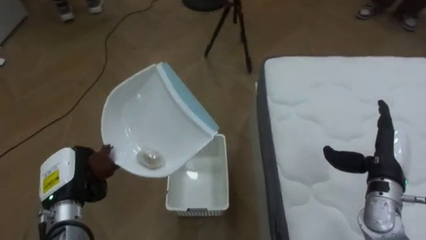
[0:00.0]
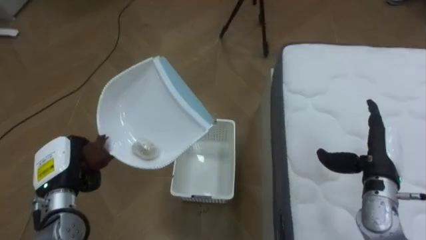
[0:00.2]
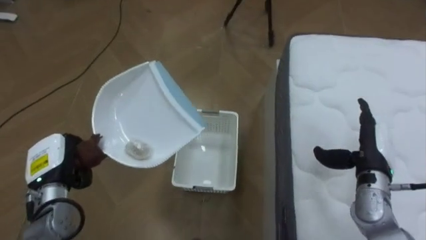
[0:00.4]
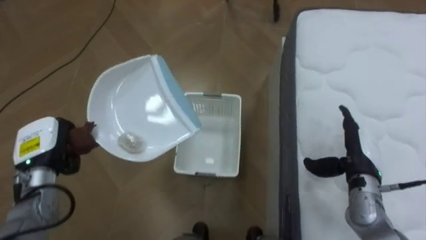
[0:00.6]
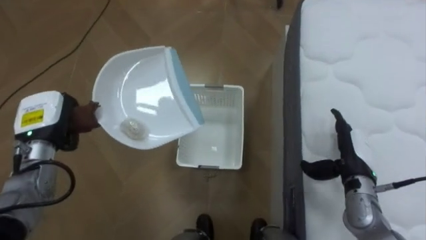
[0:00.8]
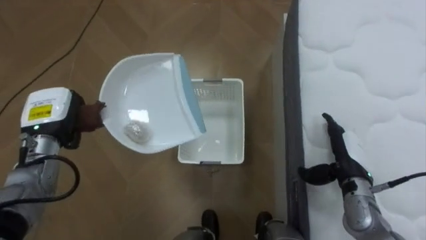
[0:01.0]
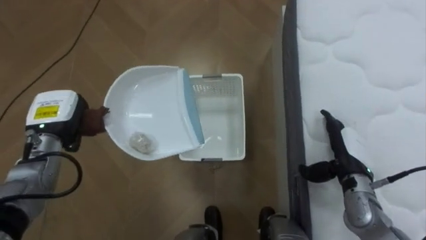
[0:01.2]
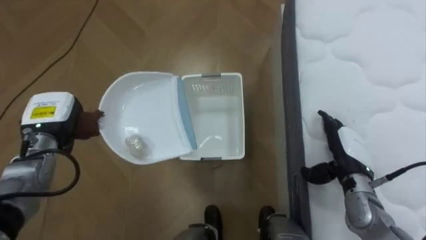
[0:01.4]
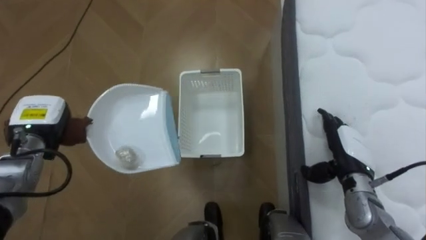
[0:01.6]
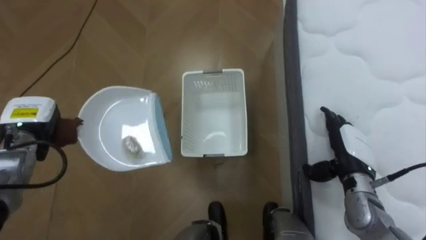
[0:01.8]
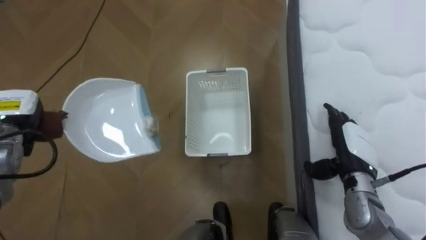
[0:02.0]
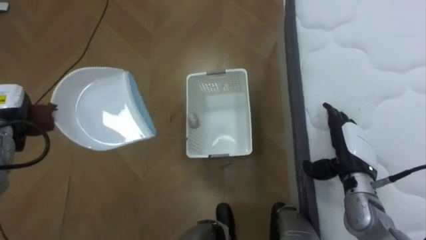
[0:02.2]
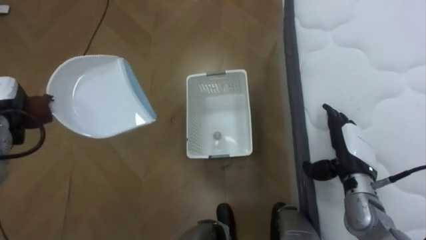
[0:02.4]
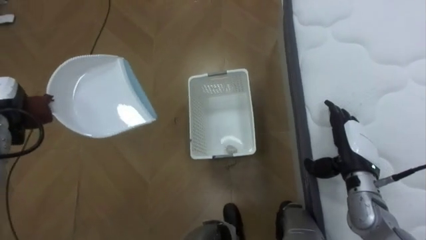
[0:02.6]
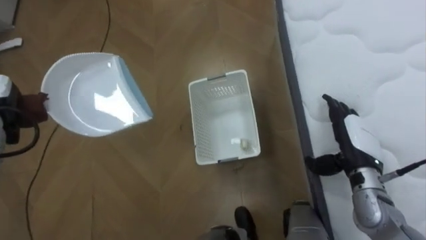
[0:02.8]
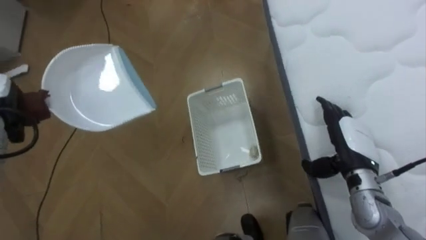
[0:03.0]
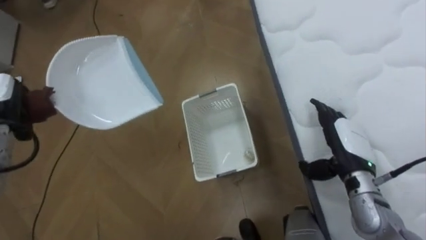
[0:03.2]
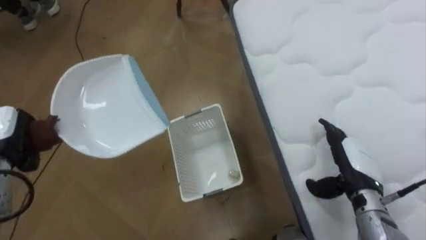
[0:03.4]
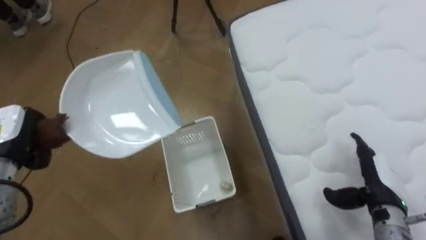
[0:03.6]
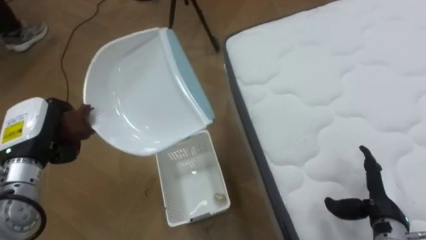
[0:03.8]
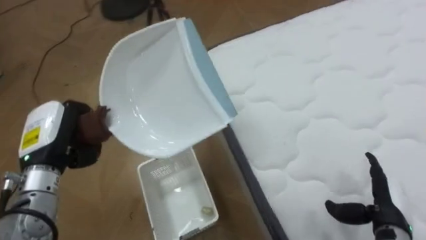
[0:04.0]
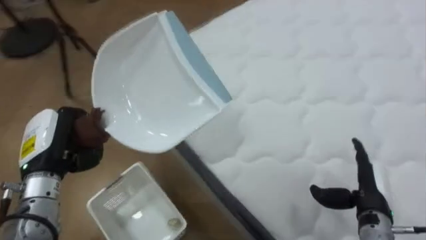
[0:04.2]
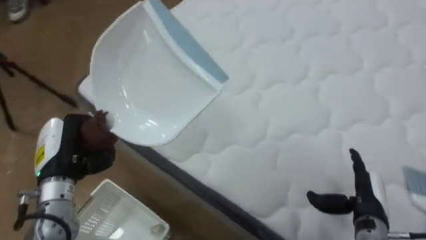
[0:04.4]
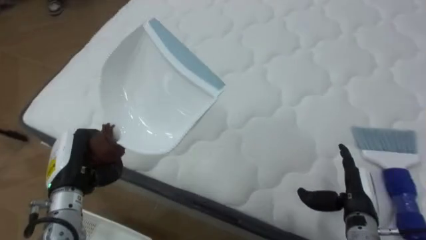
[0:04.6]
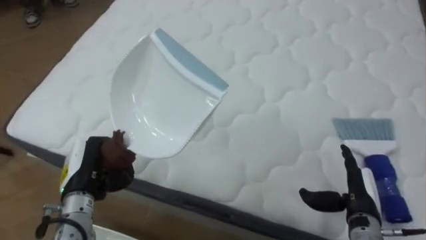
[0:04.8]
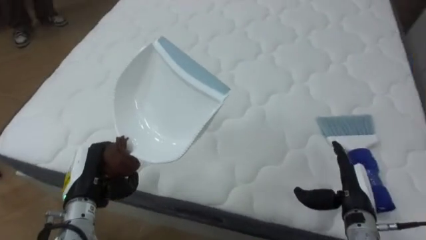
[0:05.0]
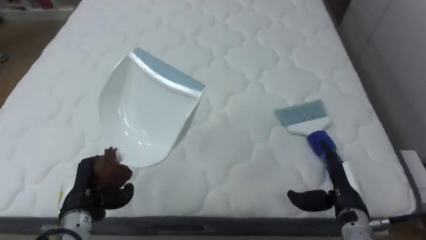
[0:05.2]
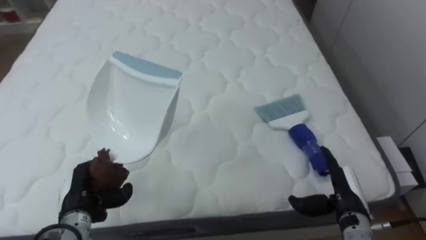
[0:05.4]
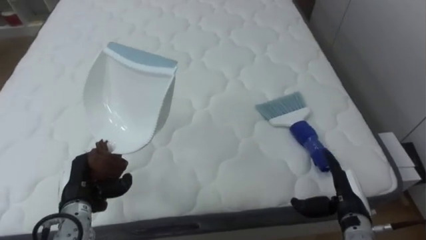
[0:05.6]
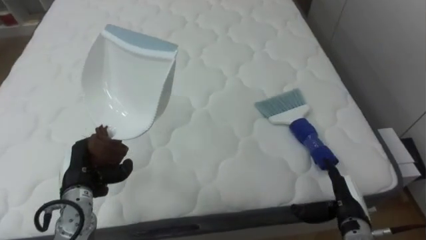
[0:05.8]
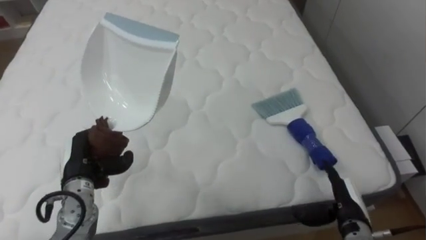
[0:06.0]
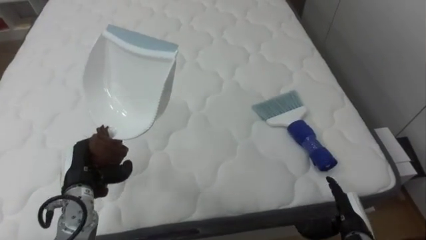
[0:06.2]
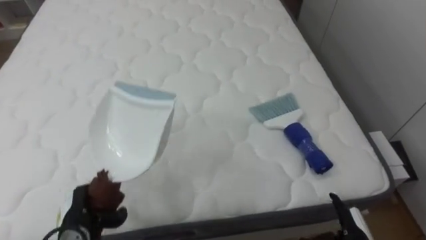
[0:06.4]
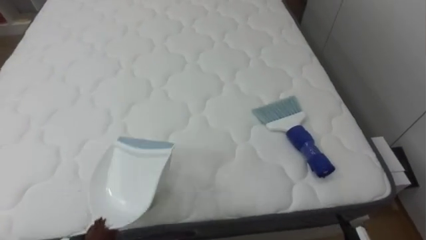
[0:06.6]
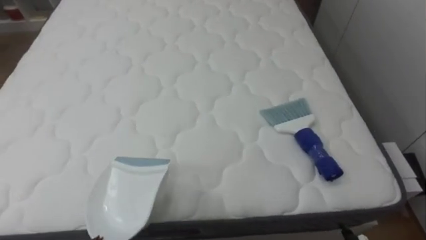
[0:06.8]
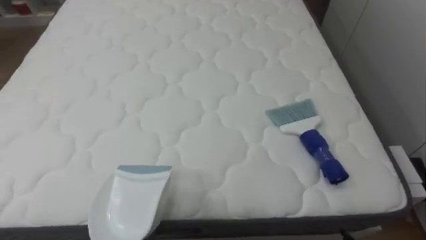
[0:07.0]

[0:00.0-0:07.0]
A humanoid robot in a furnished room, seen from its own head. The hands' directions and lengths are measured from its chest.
Task of the whole recording: Pick up the brush on your right and the dustpan on your left. Use the brush to sweep the crumpled paper on the bed into the dustpan, then turn left and empty it into the basket.
0:00.0 to 0:01.4: The right hand moves to the left, about 5 cm. Meanwhile the left hand travels forward and upward by some 10 cm.
0:02.8 to 0:04.2: The robot faces about 45 degrees further to its right. The right hand moves backward, approximately 5 cm.
0:04.2 to 0:05.6: The robot turns to its right by about 55 degrees. The left hand is displaced downward by some 10 cm.

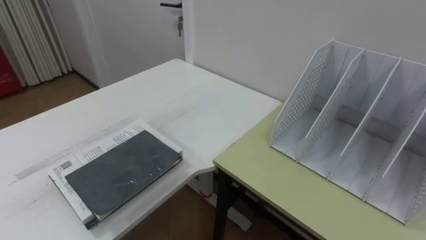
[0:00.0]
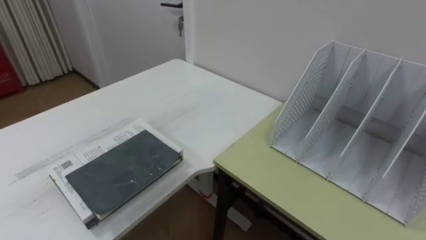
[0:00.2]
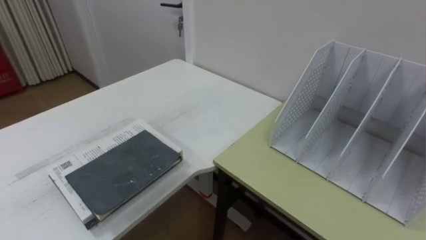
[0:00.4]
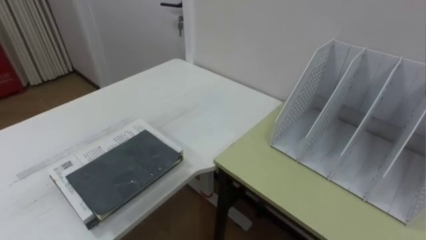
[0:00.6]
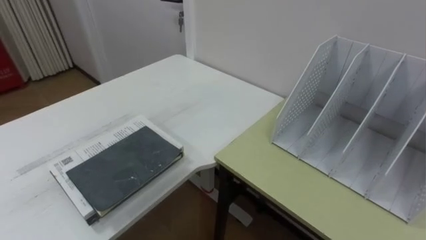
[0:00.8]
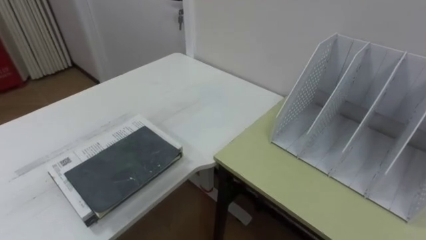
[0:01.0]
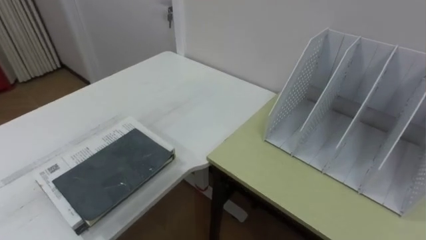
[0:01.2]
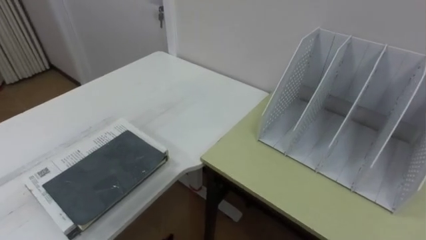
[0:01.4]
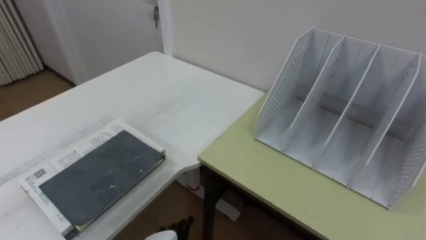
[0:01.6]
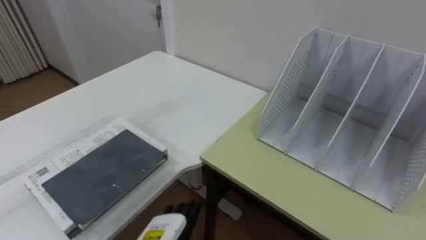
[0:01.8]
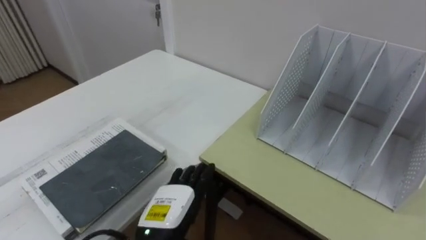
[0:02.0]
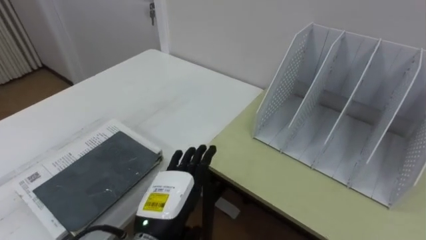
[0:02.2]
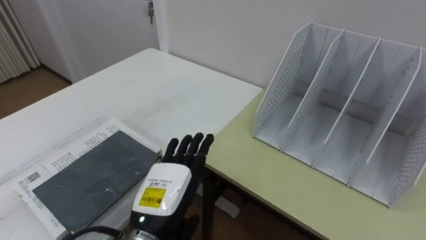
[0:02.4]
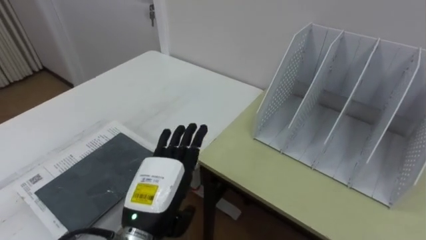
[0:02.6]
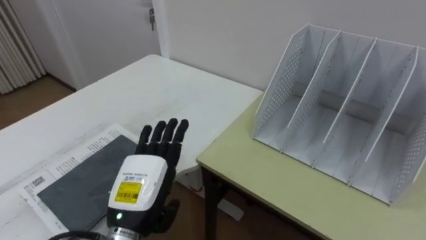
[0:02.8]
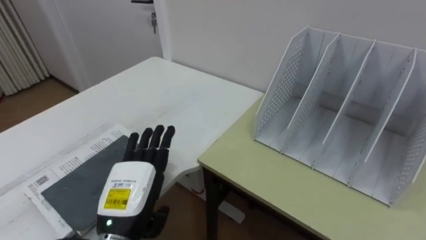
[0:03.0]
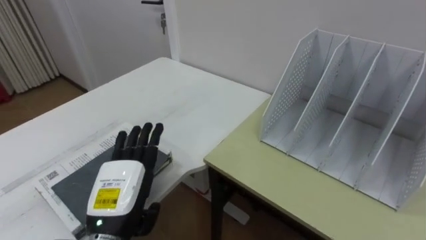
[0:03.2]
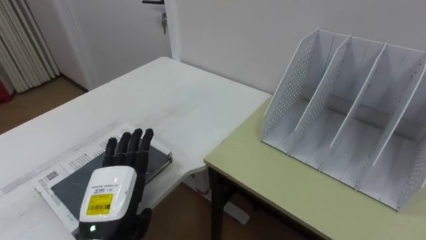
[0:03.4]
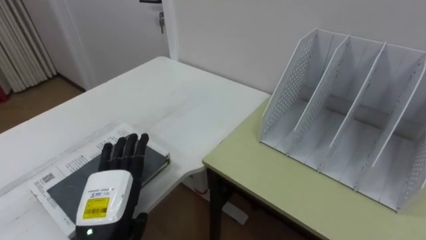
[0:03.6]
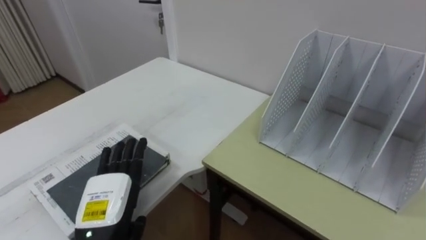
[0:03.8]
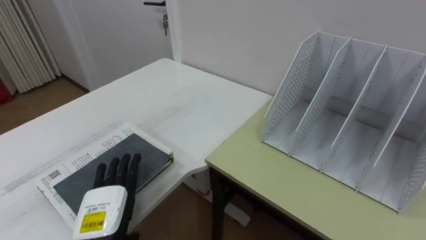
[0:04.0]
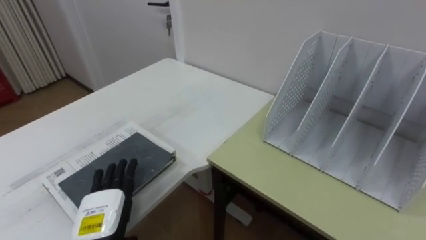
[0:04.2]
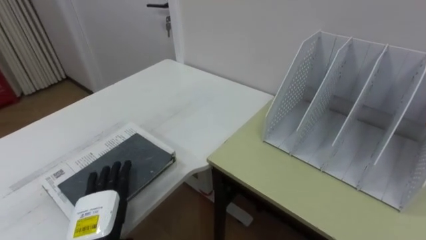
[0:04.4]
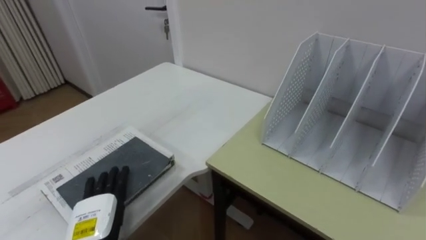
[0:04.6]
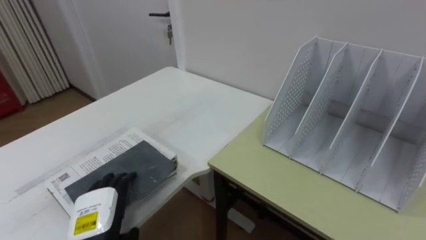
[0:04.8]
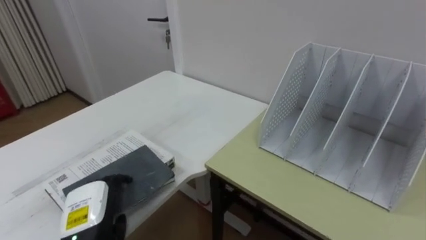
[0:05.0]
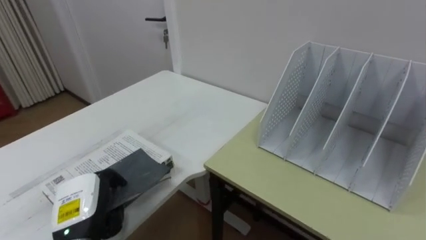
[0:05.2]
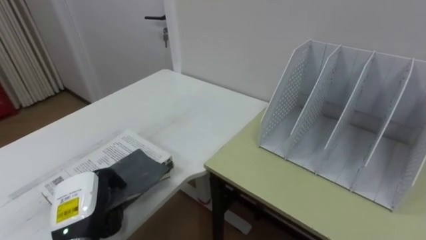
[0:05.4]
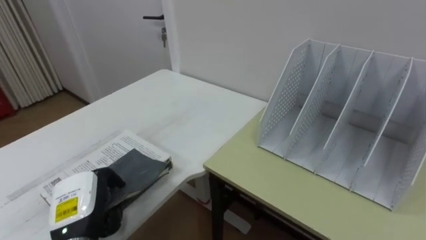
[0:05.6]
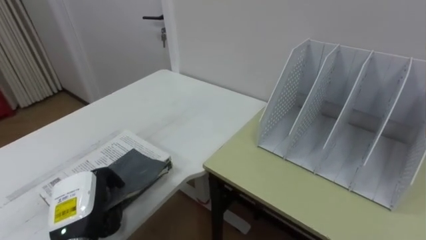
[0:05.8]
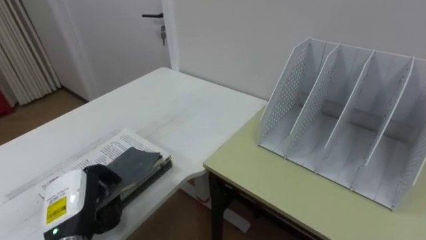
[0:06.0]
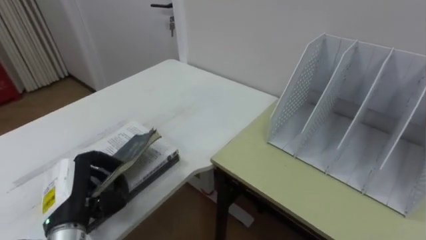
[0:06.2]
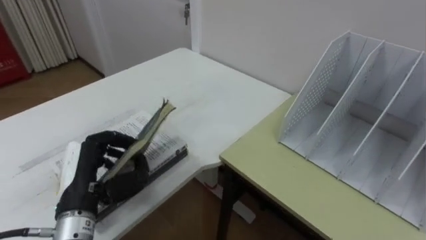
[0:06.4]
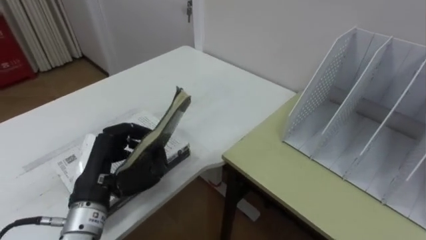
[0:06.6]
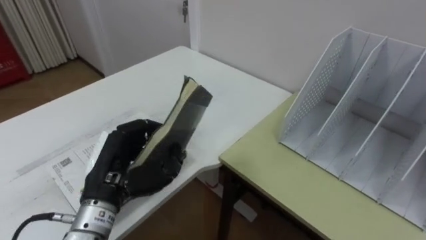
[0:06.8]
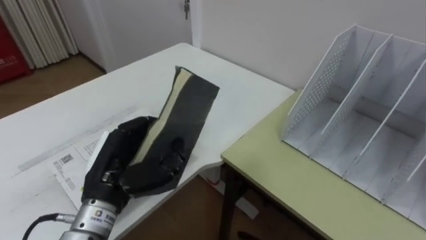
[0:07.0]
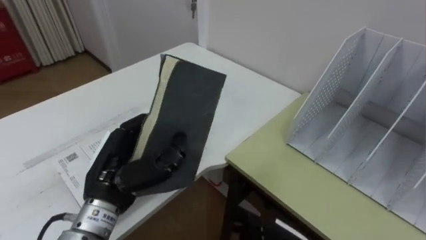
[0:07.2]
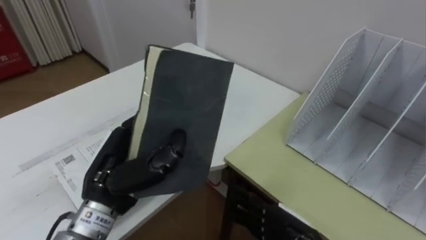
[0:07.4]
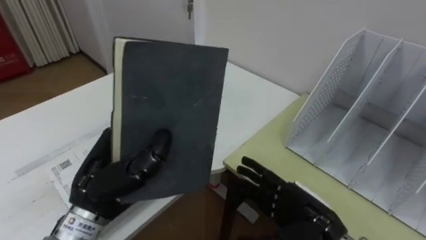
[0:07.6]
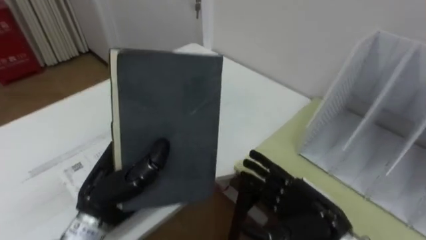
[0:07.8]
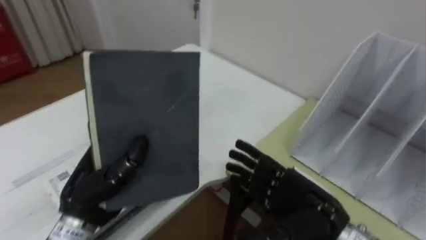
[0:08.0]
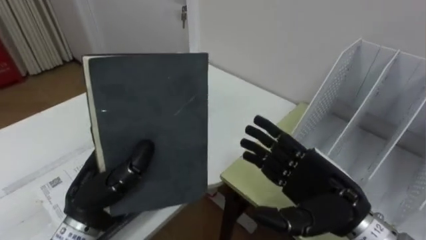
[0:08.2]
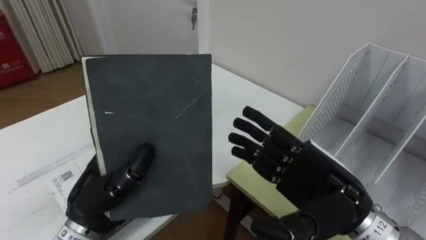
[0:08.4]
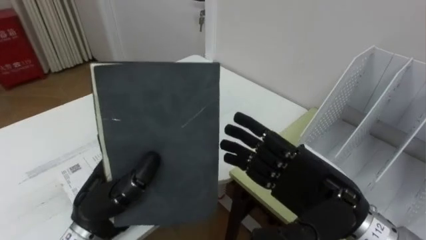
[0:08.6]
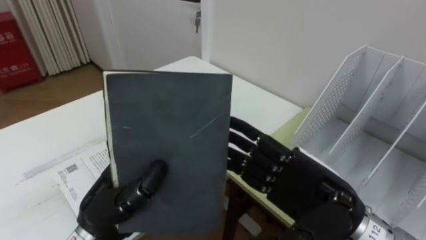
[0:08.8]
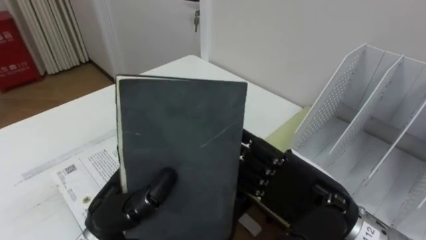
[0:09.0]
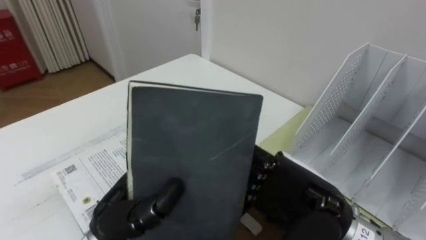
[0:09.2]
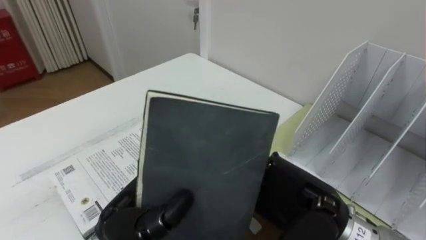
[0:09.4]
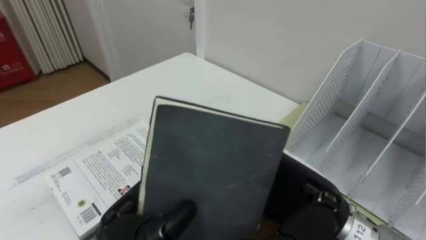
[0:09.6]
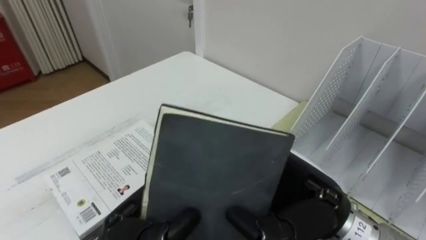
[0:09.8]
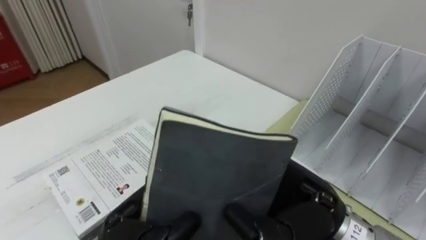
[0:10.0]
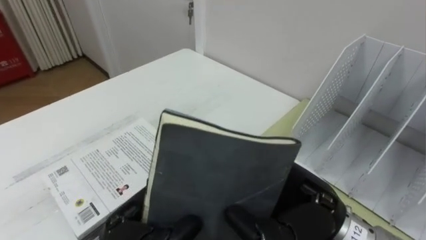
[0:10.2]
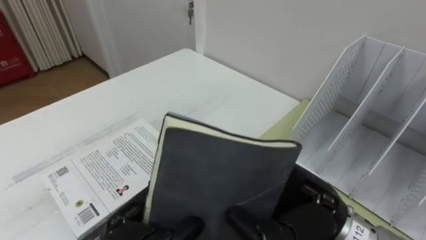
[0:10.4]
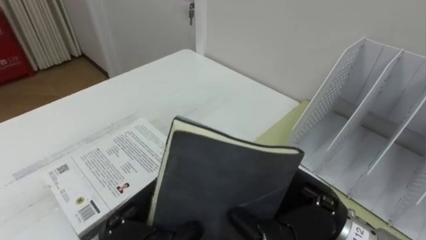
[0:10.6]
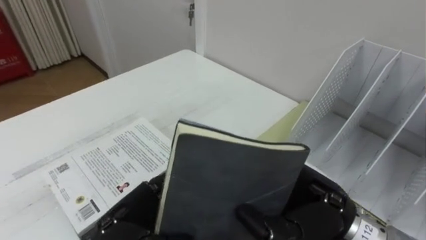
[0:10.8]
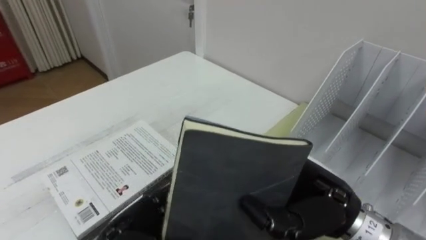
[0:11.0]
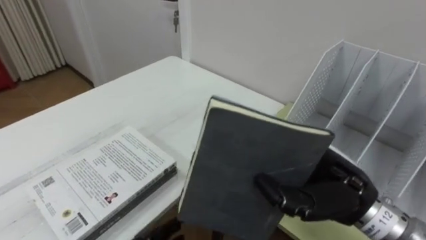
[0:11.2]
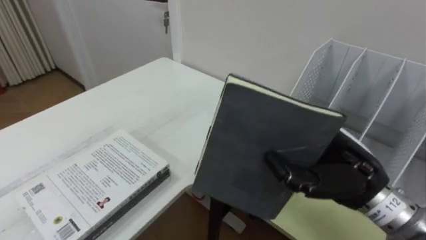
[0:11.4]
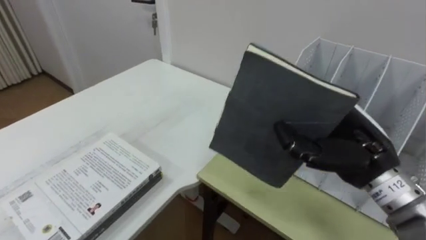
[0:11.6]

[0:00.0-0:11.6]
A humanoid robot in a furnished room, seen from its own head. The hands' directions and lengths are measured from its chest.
Task of the whole recording: Put the books on the table onto the bookshelf.
0:02.8 to 0:04.4: The left hand travels to the left and downward by approximately 10 cm.
0:04.4 to 0:05.8: The left hand closes up.
0:05.8 to 0:07.2: The left hand goes approximately 15 cm upward and to the right.
0:07.2 to 0:08.8: The right hand moves upward, roughly 20 cm.
0:08.8 to 0:10.2: The right hand closes its fingers; the left hand moves about 5 cm.
0:10.2 to 0:11.6: The right hand is displaced to the right and forward by about 10 cm.
